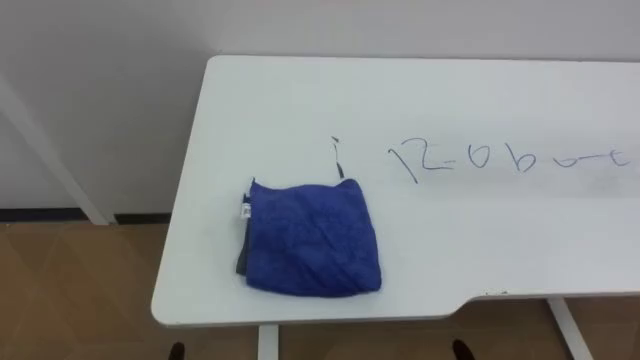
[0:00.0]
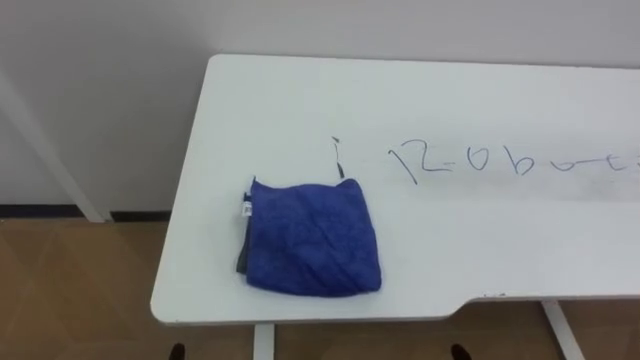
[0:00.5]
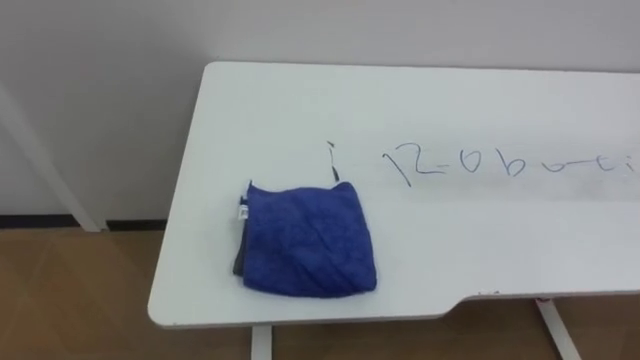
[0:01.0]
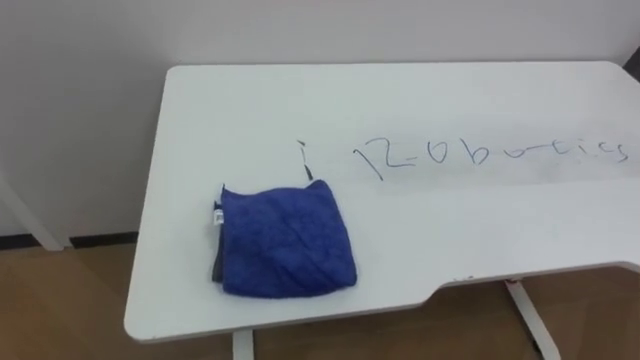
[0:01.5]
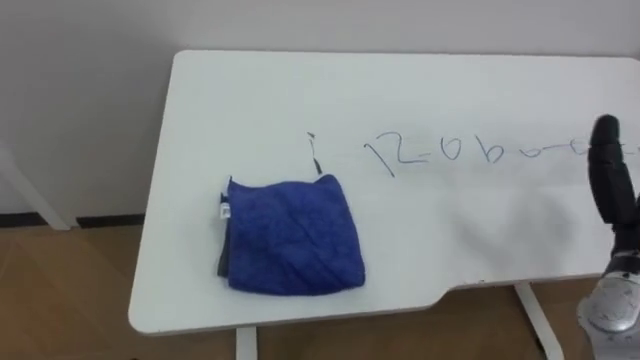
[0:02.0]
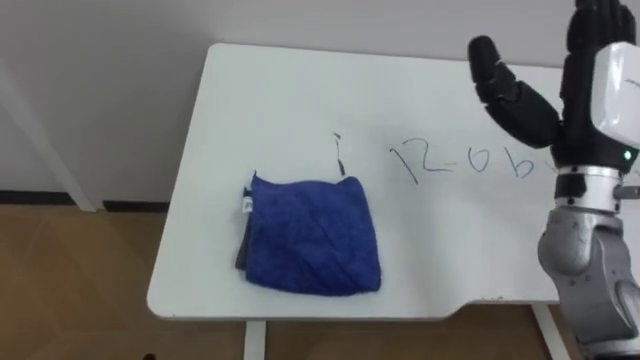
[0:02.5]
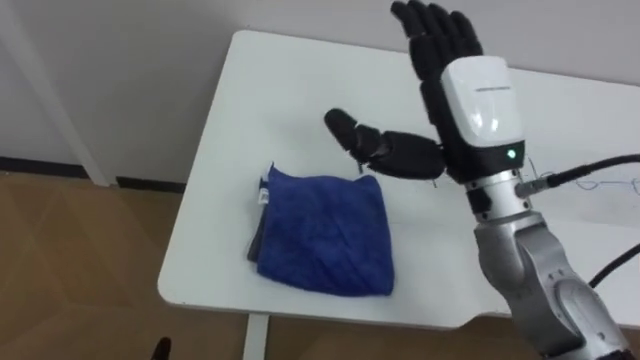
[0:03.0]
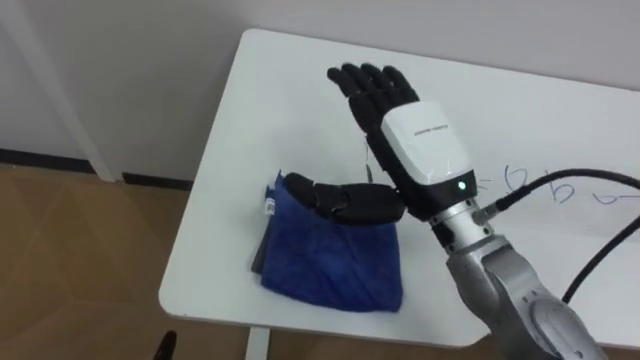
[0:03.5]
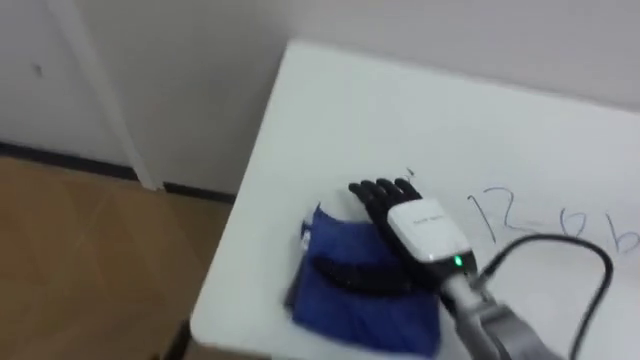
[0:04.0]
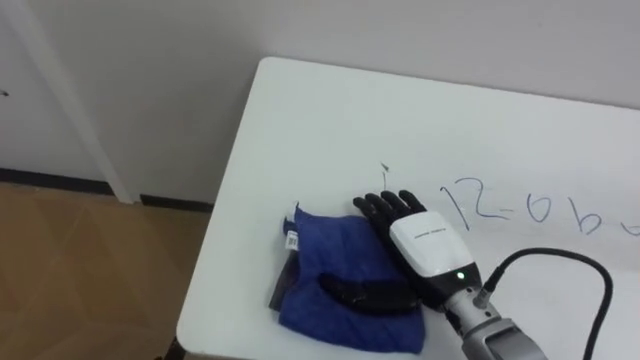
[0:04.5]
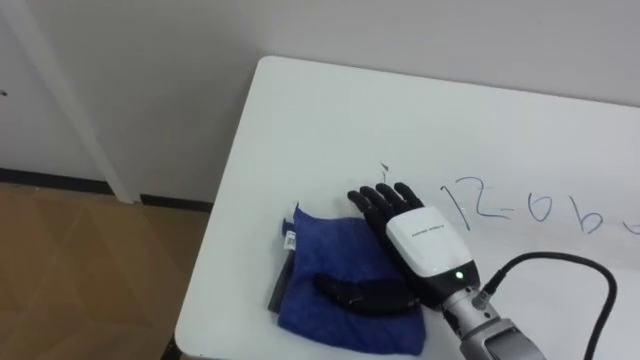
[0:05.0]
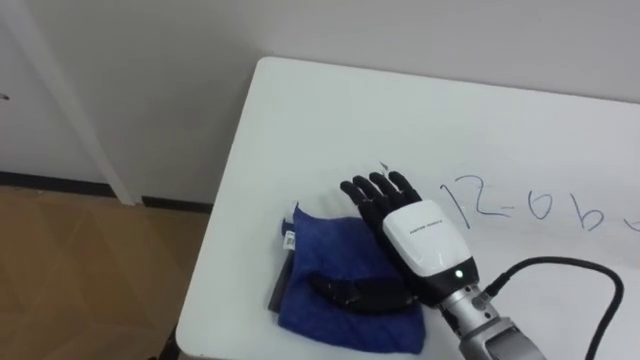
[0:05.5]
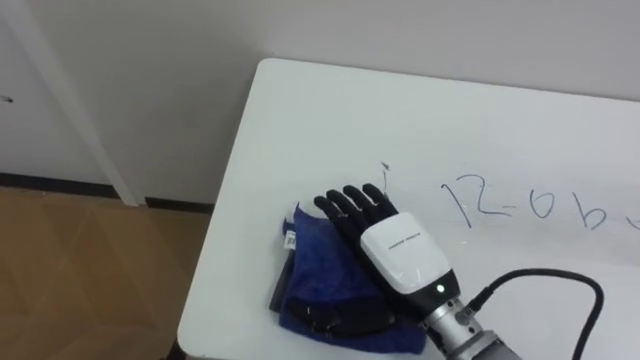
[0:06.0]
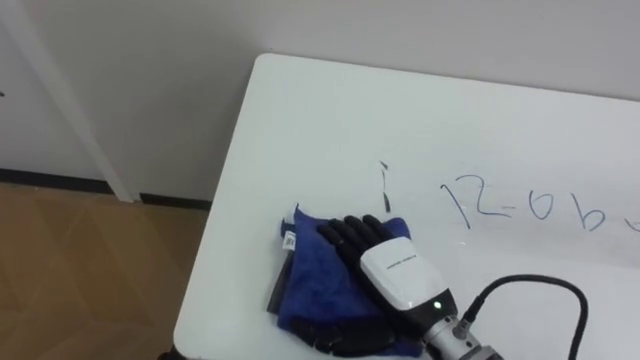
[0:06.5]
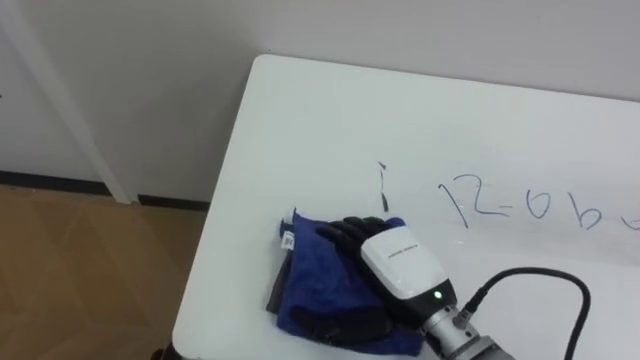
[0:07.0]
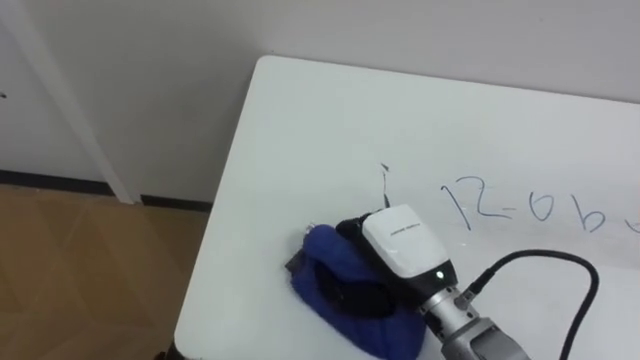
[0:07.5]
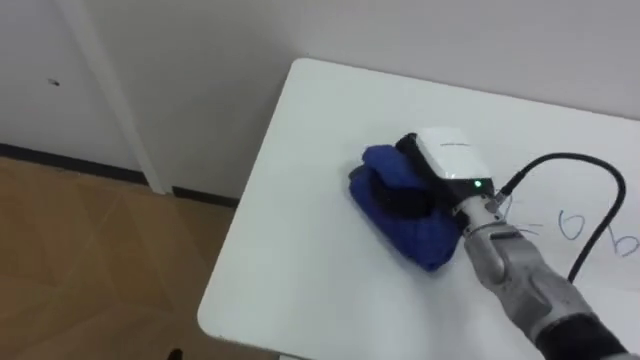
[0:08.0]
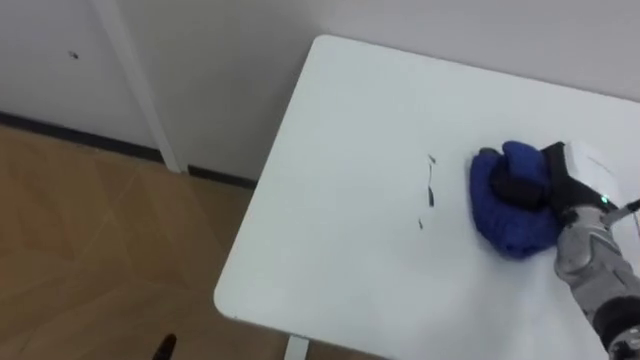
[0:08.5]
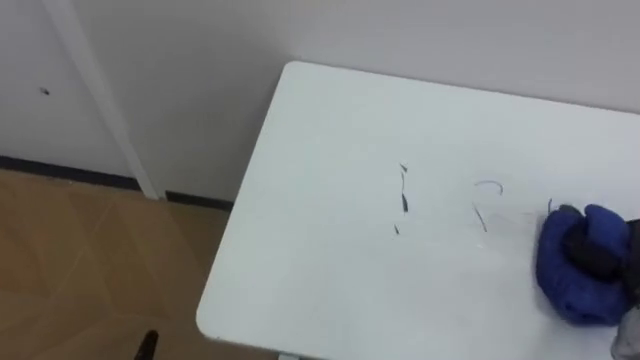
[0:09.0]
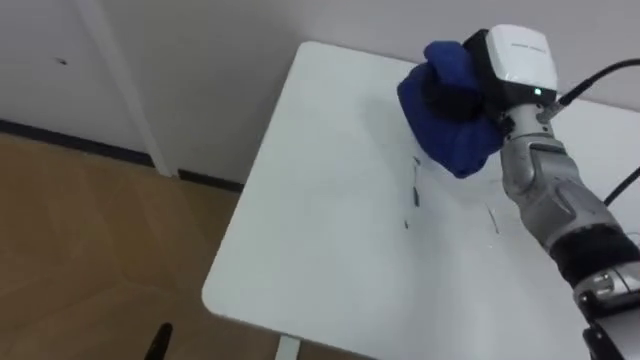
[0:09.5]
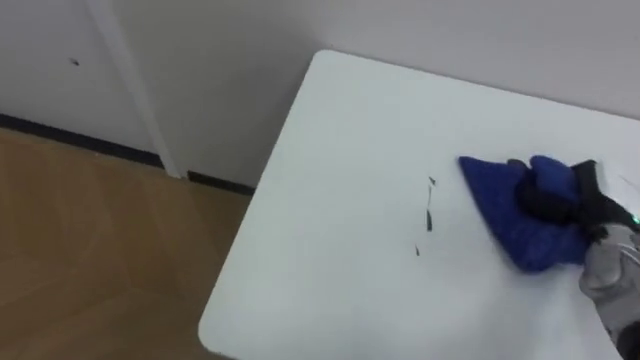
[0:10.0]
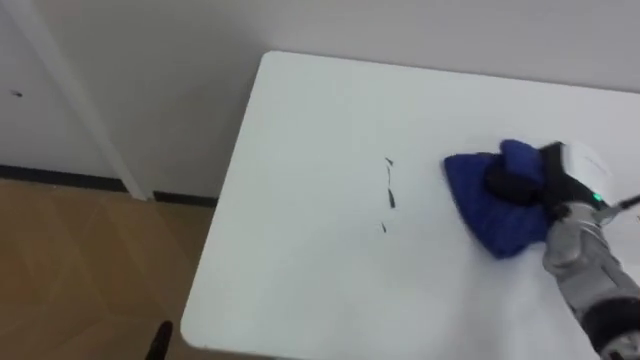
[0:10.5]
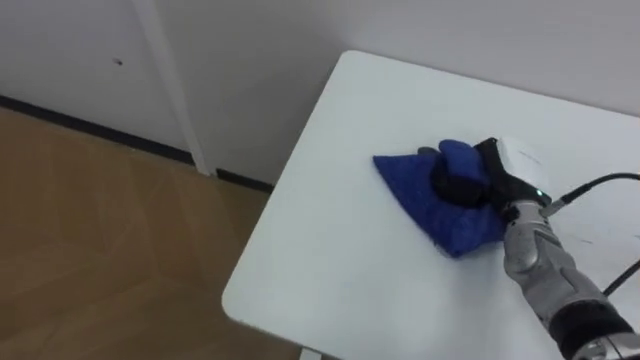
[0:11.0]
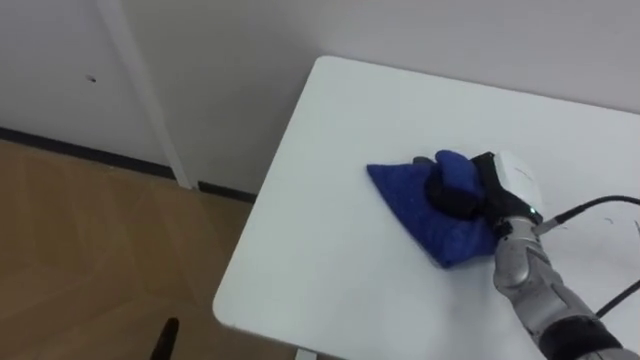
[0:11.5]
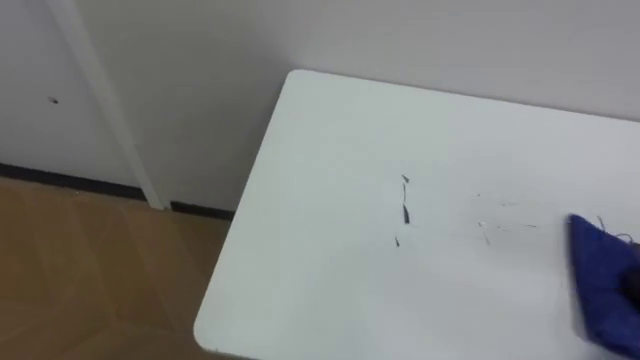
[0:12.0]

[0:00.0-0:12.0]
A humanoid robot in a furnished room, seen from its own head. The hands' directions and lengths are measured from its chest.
Task of the whole recording: Wipe the blue pen marks off the table with the rag.
0:04.0 to 0:06.0: The right hand changes place by some 5 cm.
0:06.0 to 0:08.0: The right hand moves forward, about 10 cm, and closes its fingers.

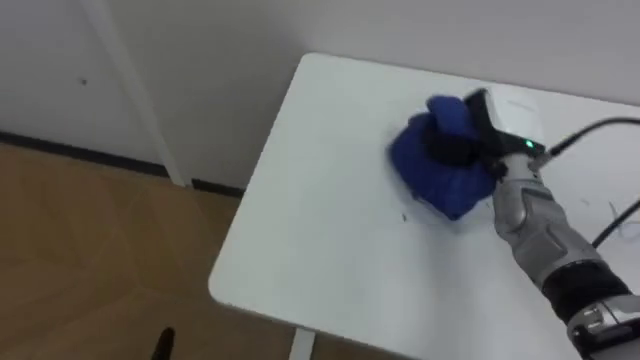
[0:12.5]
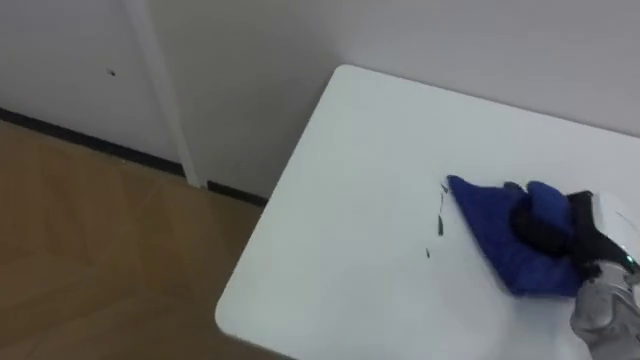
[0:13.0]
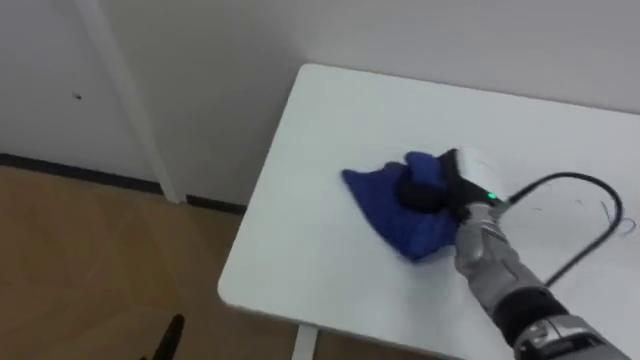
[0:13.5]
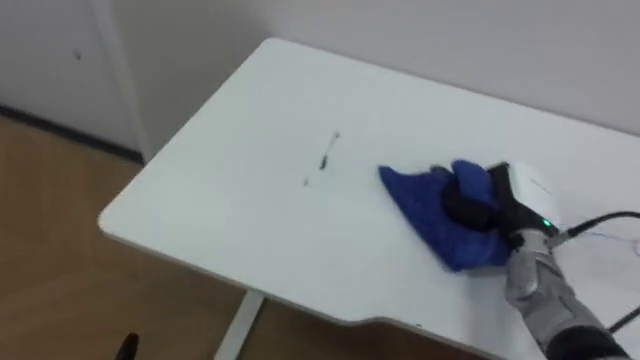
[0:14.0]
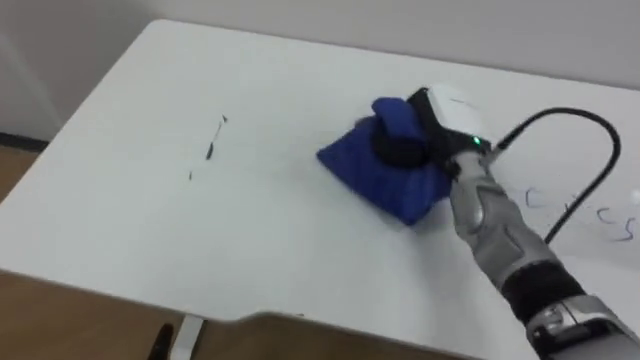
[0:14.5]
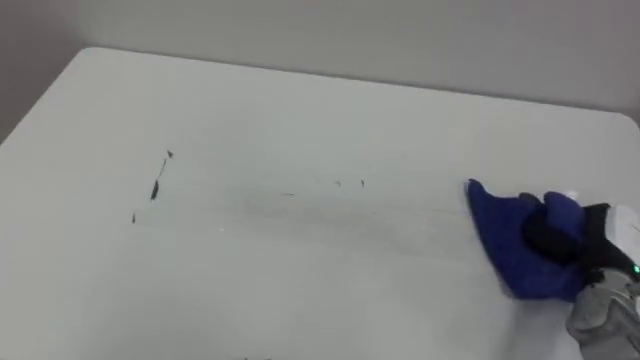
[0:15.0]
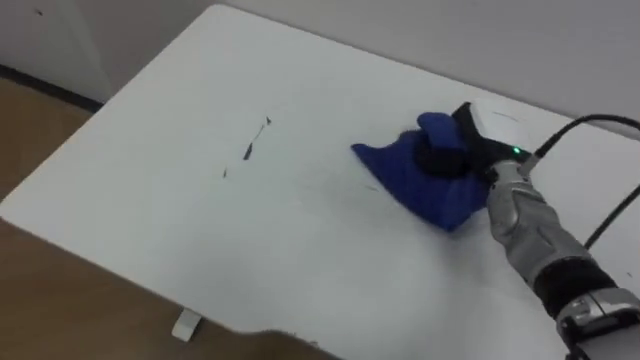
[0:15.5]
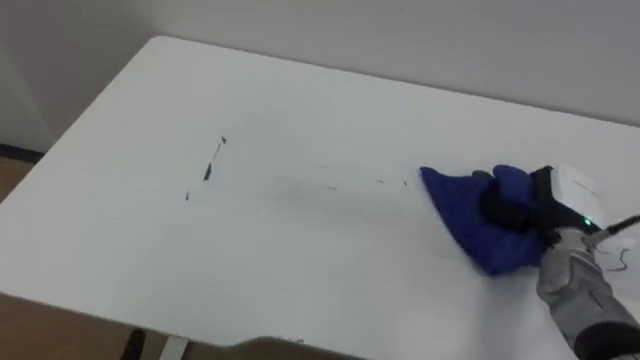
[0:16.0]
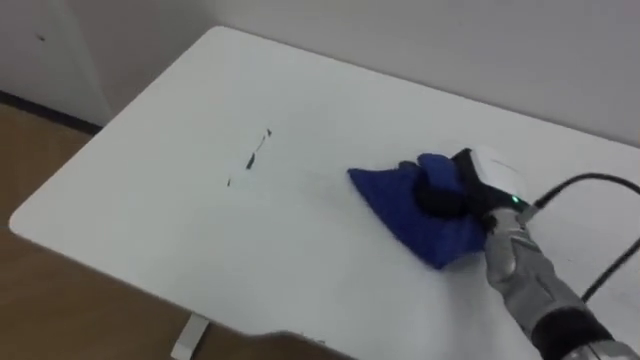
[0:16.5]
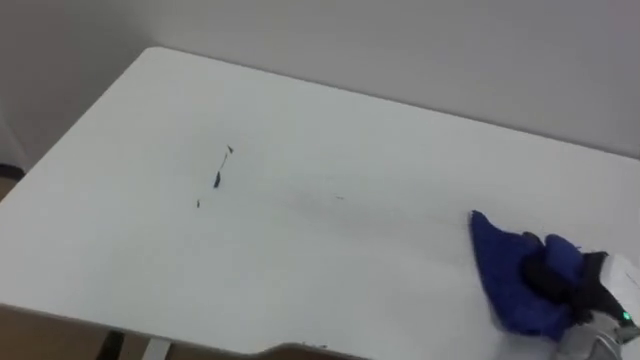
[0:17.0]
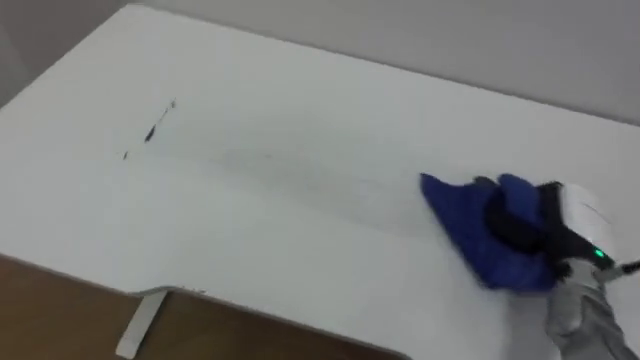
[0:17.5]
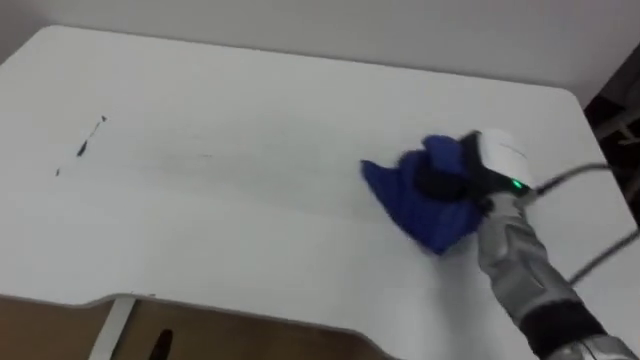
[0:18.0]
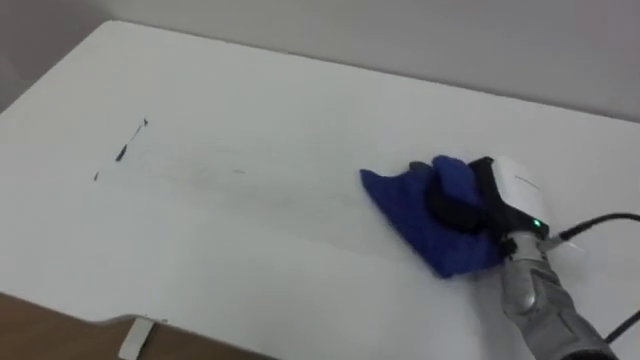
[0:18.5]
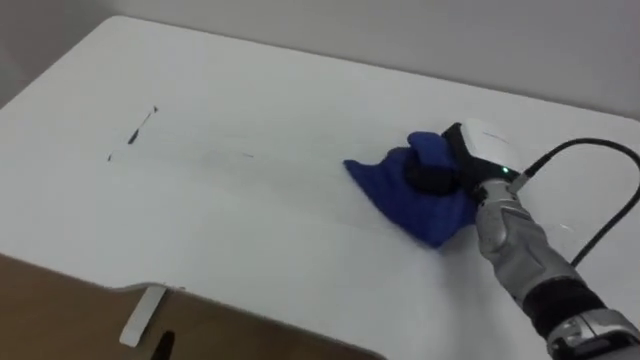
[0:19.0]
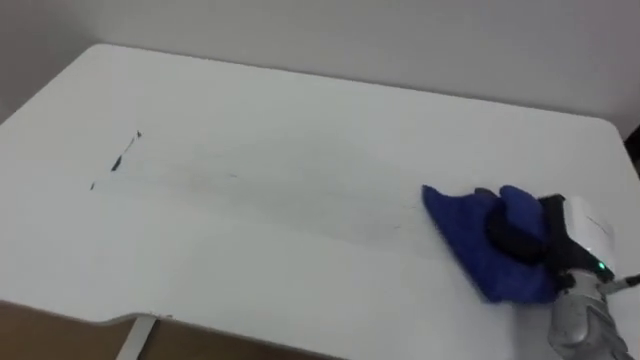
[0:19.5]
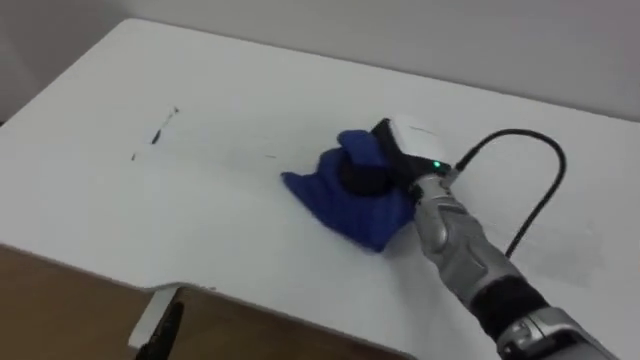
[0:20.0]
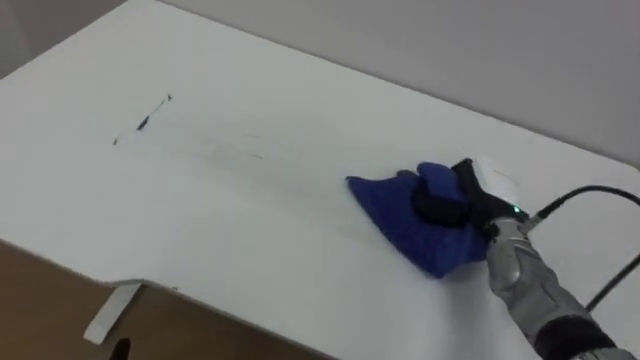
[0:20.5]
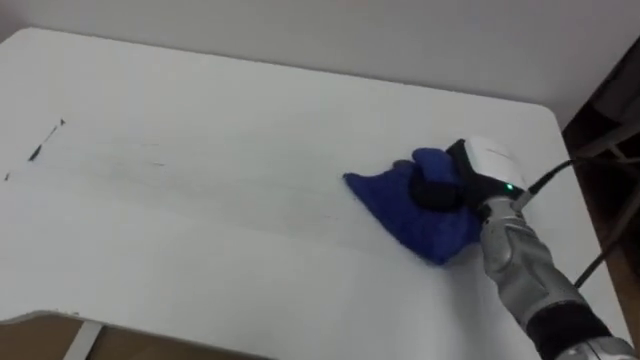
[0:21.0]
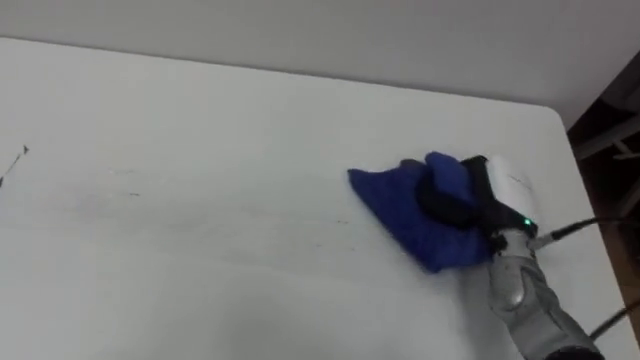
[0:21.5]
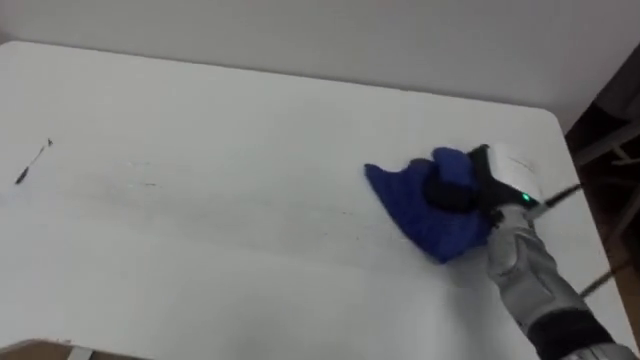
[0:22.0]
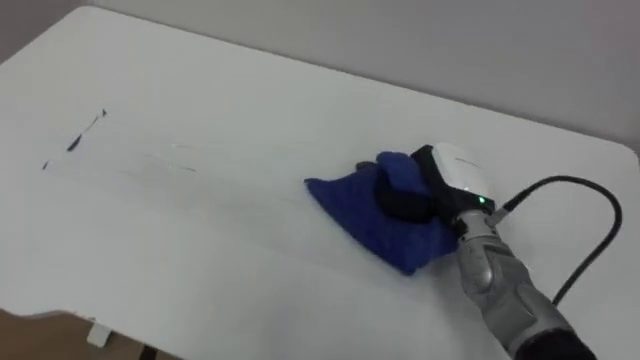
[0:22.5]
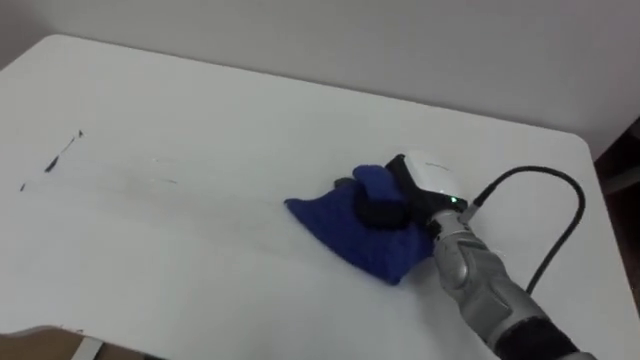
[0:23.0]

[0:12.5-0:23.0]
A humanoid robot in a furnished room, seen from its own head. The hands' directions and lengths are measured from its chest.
Task of the whole recording: Wipe the blue pen marks off the table with the rag.
0:12.5 to 0:14.5: The right hand shifts about 10 cm to the left.
0:14.5 to 0:16.5: The right hand goes left and right, approximately 20 cm each way, reversing 3 times.
0:16.5 to 0:19.0: The right hand travels backward and back again, about 15 cm each way.
0:19.0 to 0:21.0: The right hand moves left and right over some 20 cm, changing direction 2 times.
0:21.0 to 0:23.0: The right hand travels to the left by roughly 10 cm.
